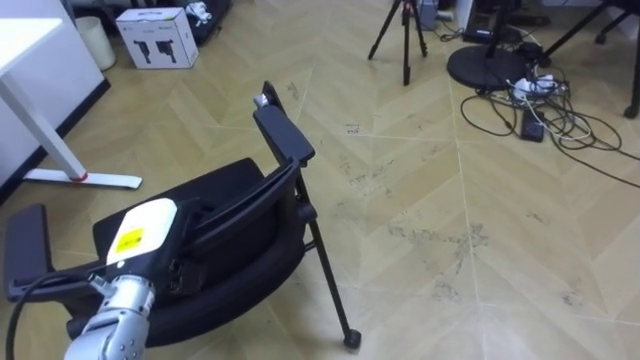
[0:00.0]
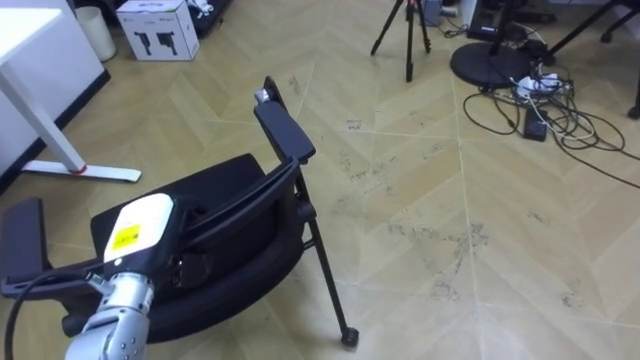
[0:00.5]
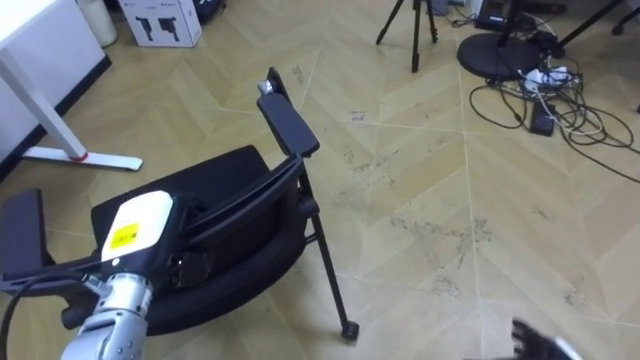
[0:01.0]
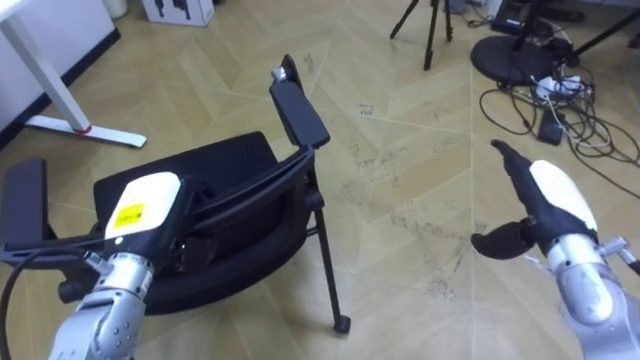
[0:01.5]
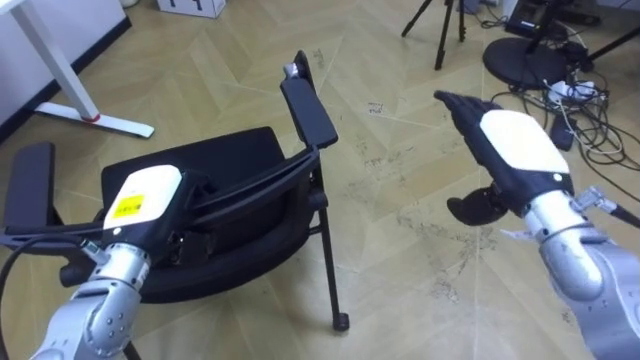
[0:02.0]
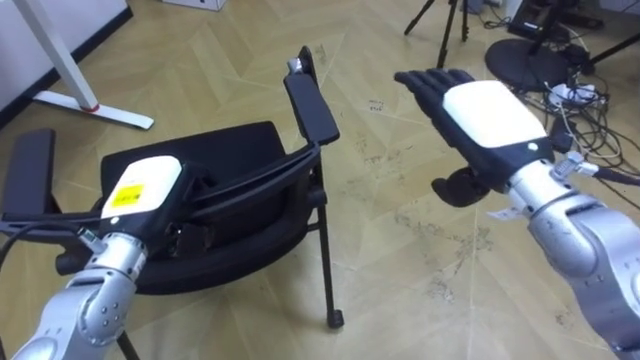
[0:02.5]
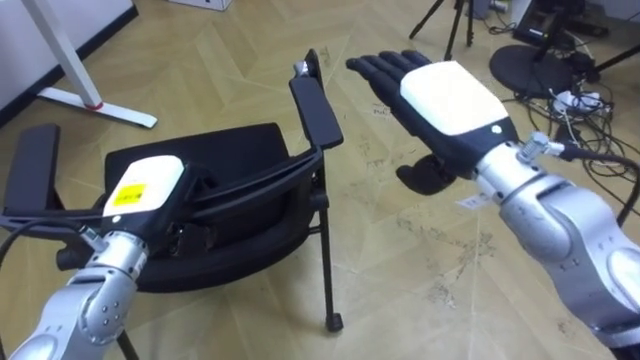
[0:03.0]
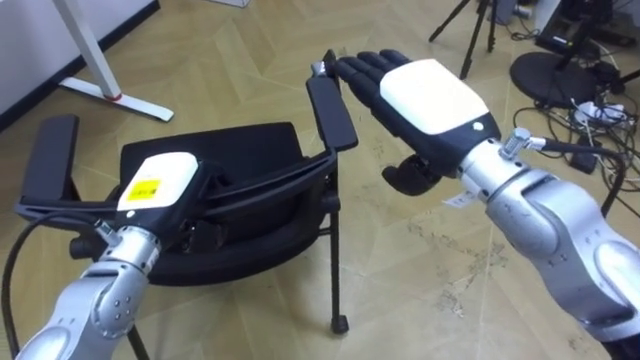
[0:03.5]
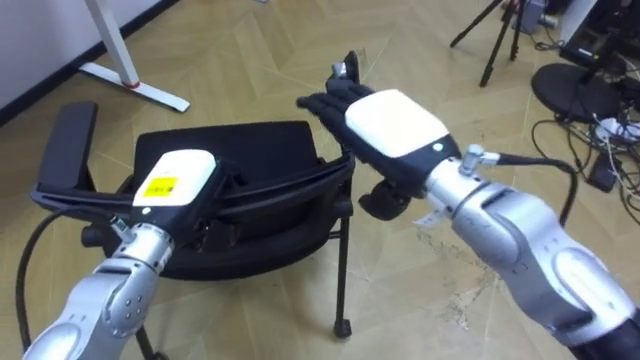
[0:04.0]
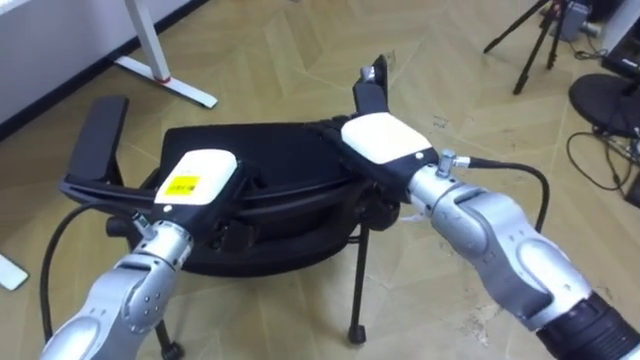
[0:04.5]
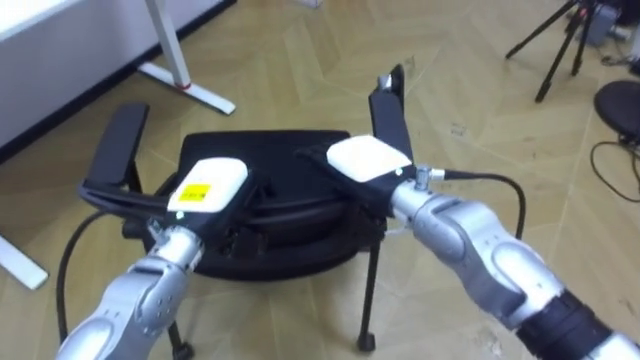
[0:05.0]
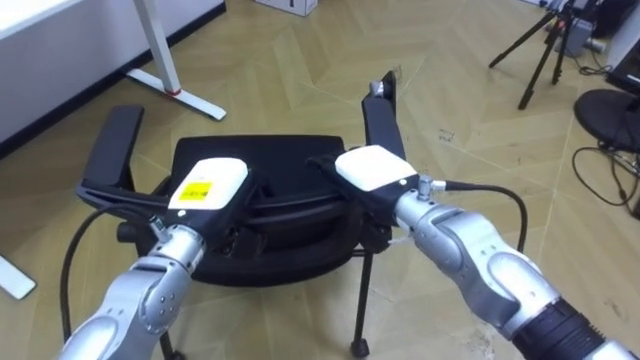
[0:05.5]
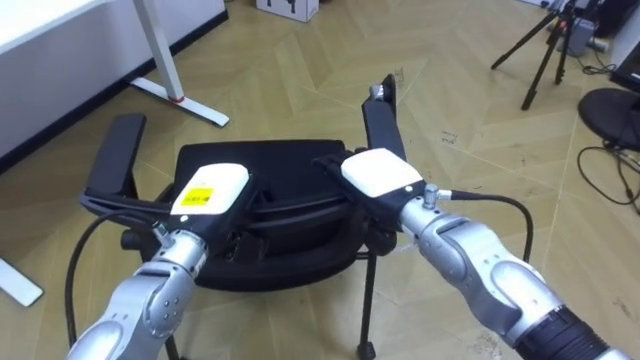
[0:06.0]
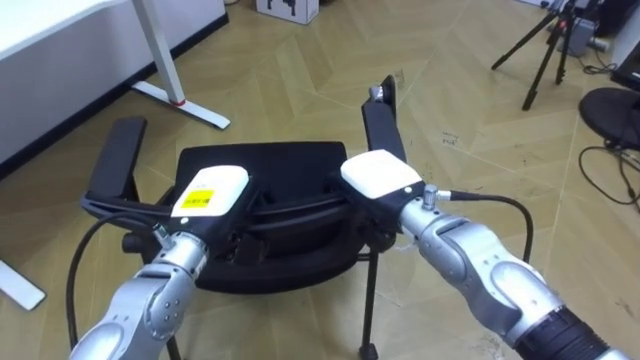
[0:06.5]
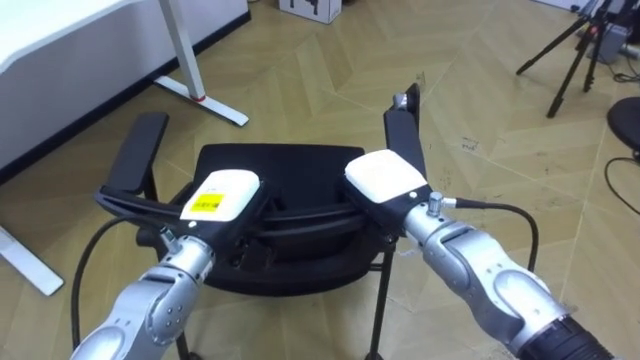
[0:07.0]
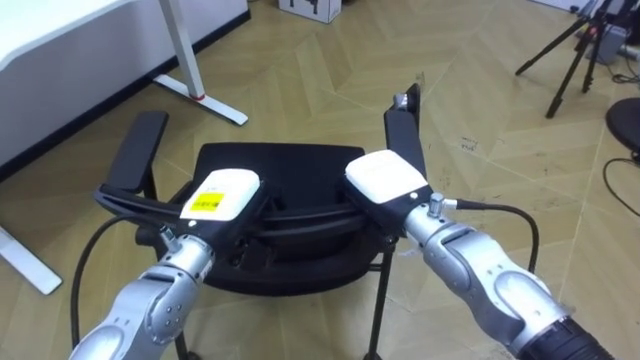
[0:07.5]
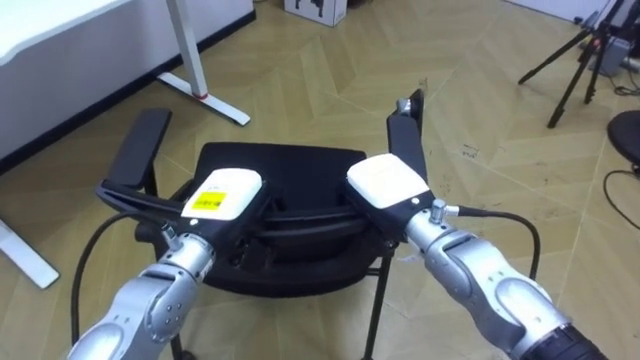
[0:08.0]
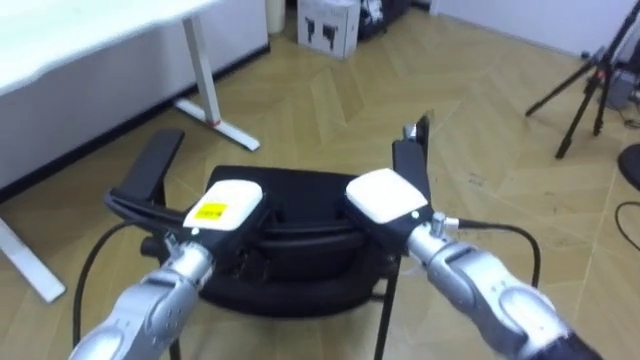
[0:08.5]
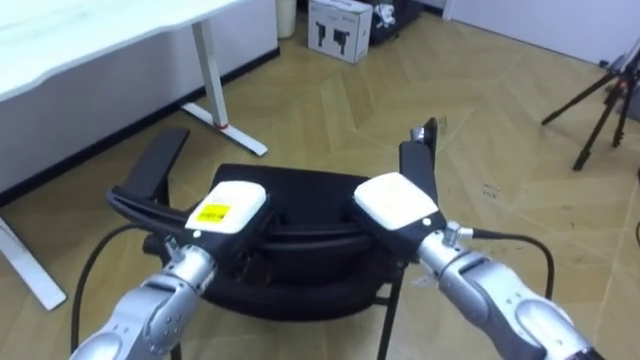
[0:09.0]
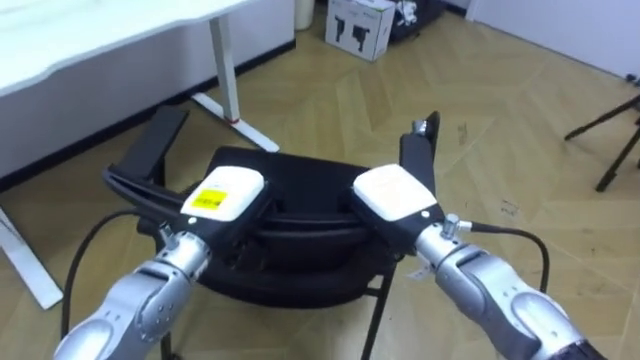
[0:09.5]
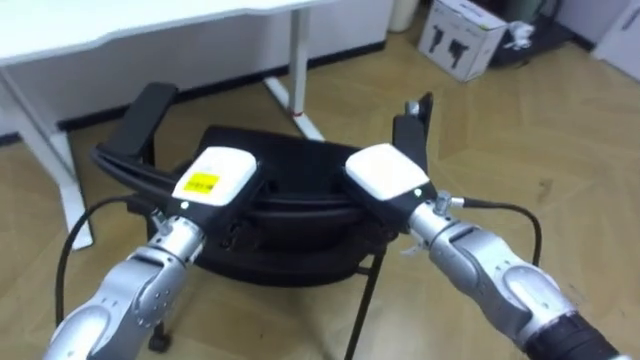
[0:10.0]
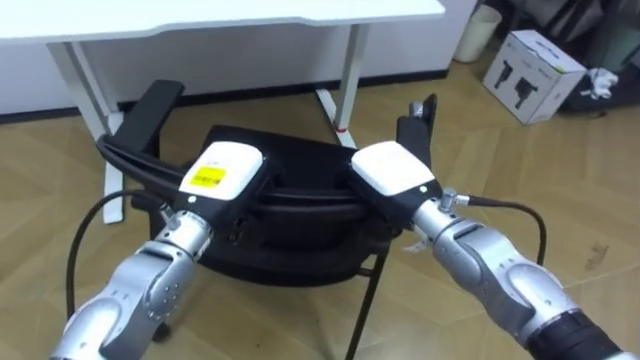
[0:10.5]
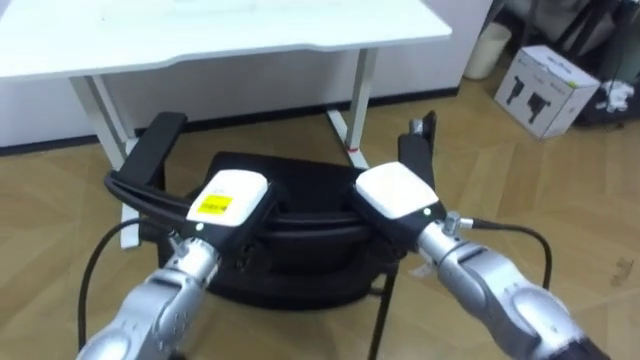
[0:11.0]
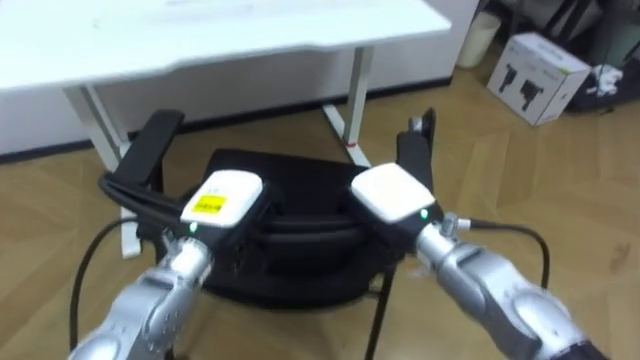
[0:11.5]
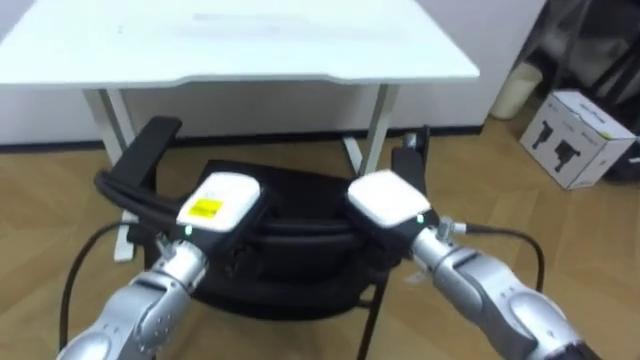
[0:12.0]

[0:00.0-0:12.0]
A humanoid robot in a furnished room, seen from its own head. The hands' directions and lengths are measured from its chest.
Task of the whole recording: Push the chair under the table.
0:00.0 to 0:02.0: The left hand ends up roughly 5 cm from where it was.
0:02.0 to 0:04.0: The right hand heads to the left, covering approximately 15 cm.
0:04.0 to 0:06.0: The right hand shifts about 10 cm downward.
0:06.0 to 0:08.0: The right hand closes up.
0:08.0 to 0:10.0: The robot rotates some 25 degrees to its left.
0:10.0 to 0:12.0: The robot rotates roughly 20 degrees to its left.

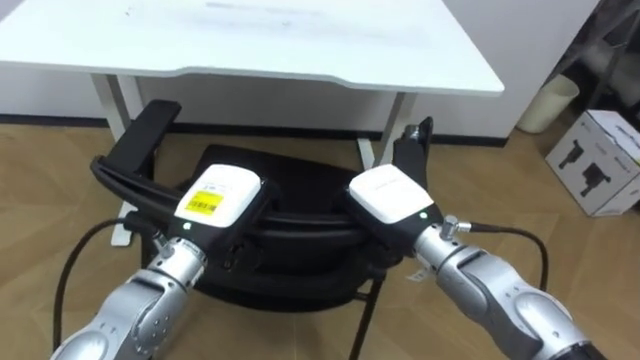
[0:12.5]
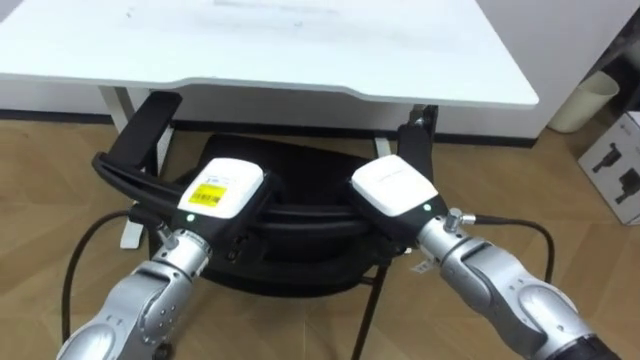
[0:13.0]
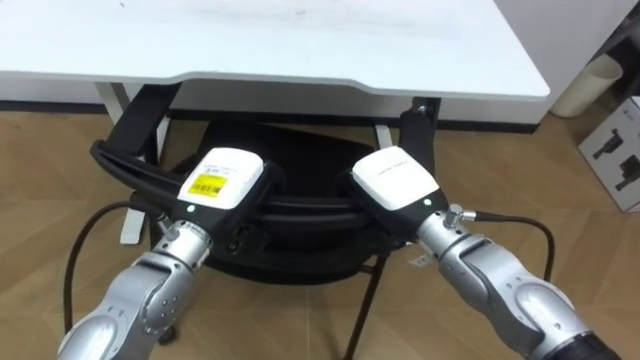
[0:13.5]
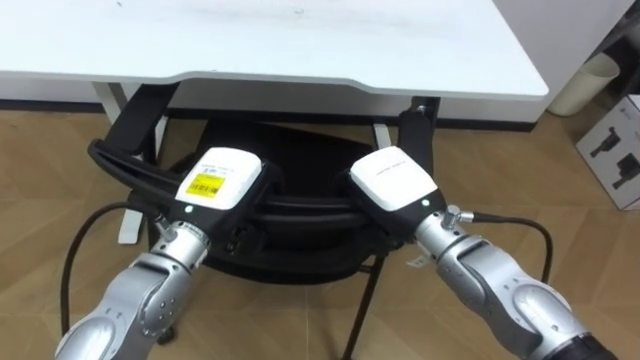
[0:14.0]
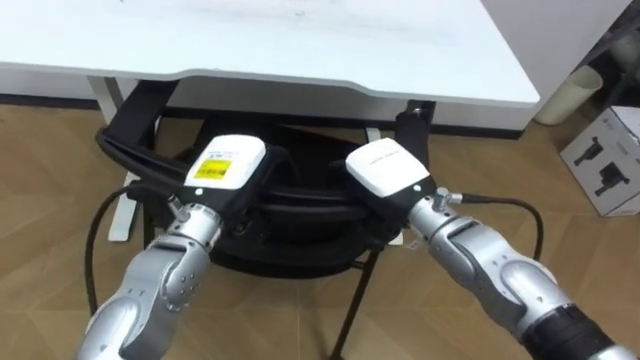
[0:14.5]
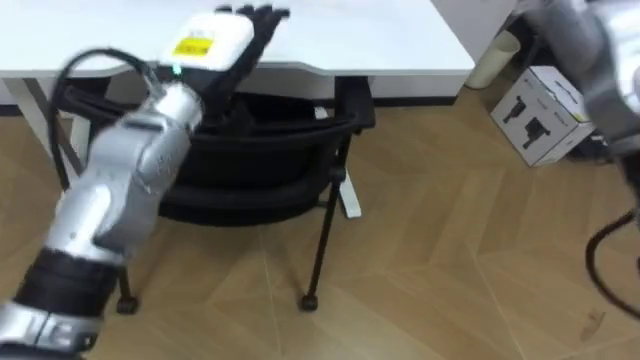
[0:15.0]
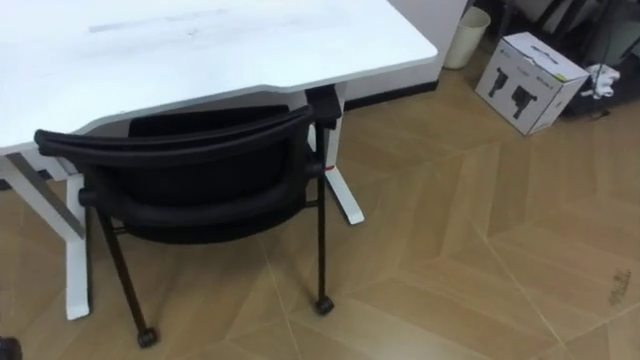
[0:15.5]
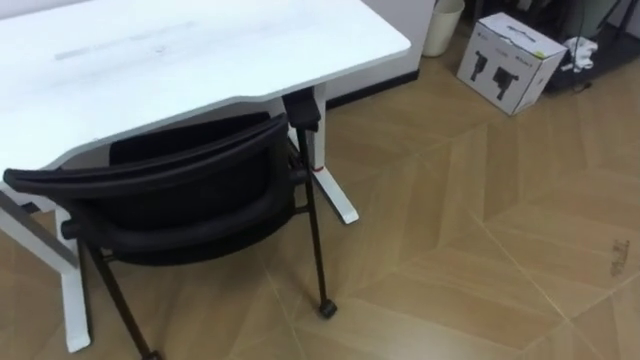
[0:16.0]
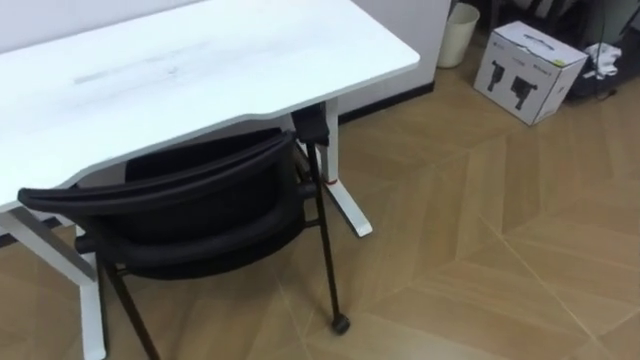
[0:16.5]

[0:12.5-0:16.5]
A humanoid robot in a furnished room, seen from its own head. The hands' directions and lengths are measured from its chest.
Task of the whole recording: Push the chair under the table.
0:12.5 to 0:14.5: The left hand opens its fingers.

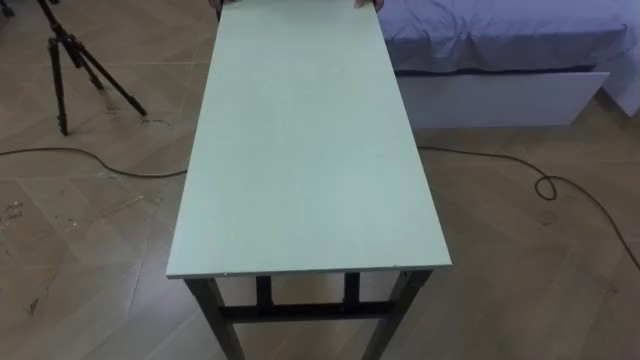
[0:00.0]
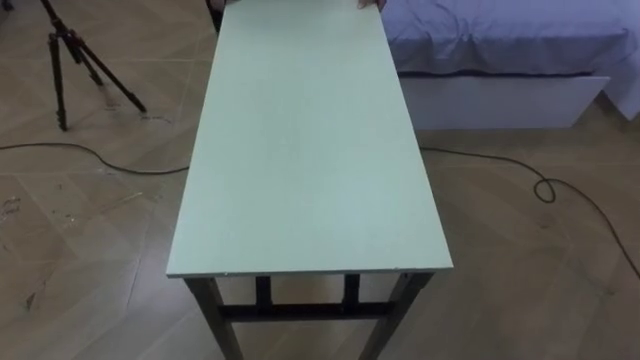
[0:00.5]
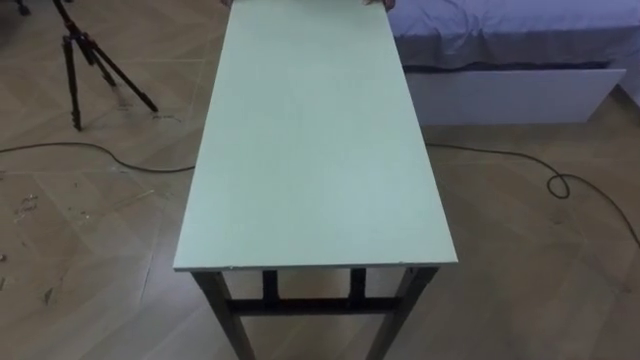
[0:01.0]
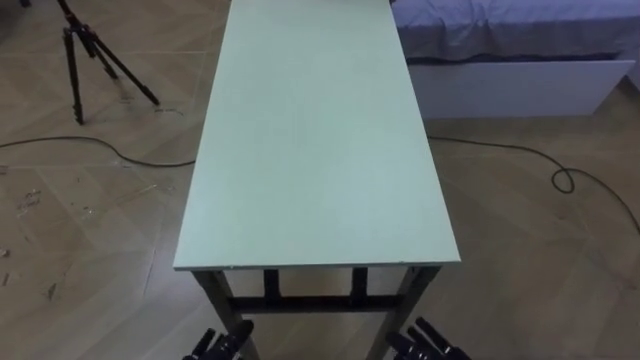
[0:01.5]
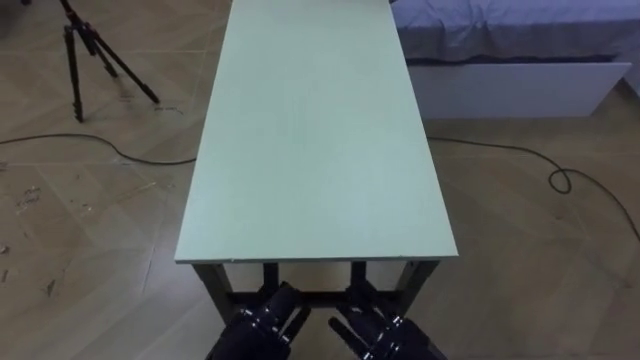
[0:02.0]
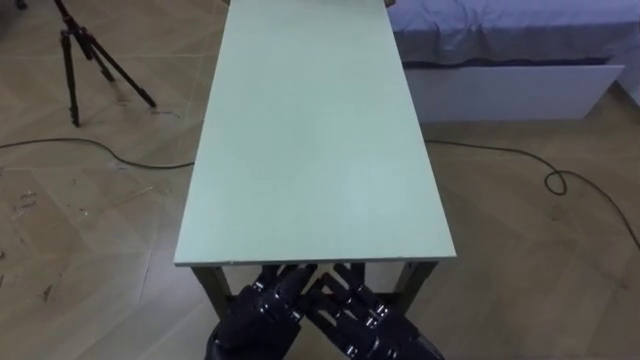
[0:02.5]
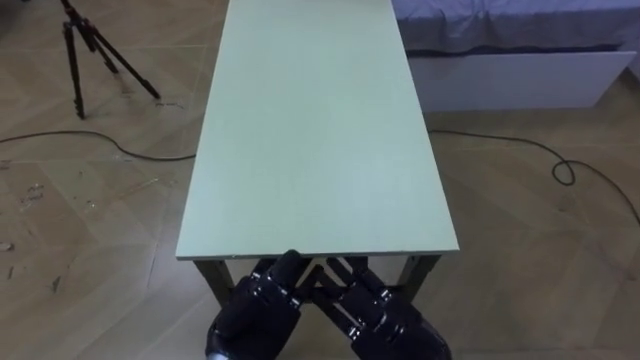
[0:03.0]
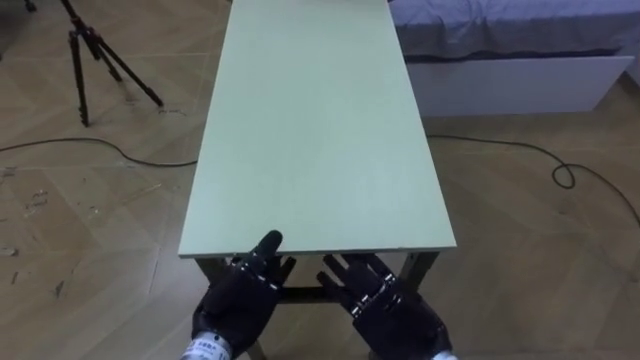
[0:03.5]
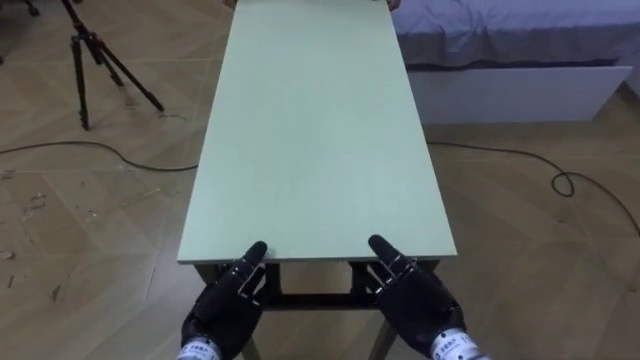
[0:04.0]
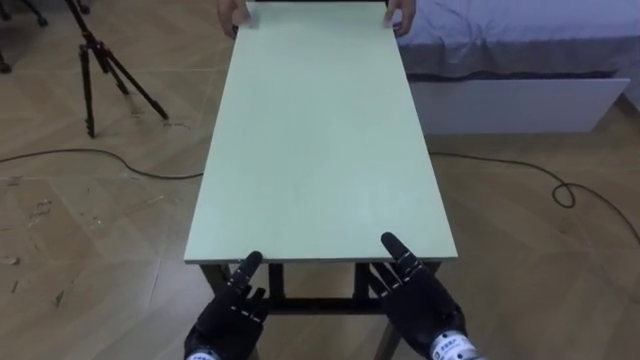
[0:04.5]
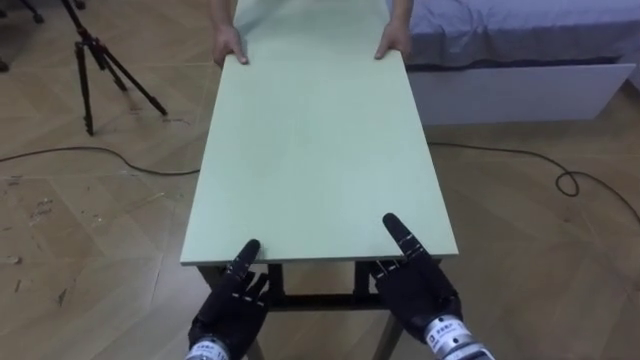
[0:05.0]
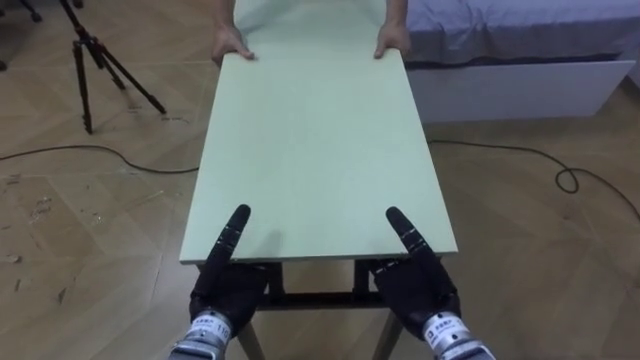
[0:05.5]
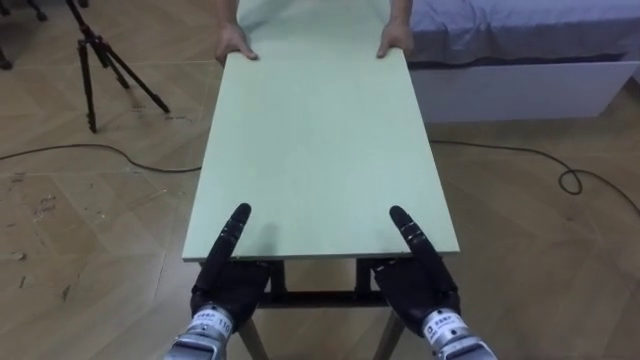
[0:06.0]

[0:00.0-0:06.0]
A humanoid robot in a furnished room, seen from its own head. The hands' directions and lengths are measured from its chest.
Task of the whole recording: Move the table to the back left with someone.
0:02.0 to 0:04.0: The left hand moves roughly 5 cm; the right hand shifts approximately 5 cm forward.
